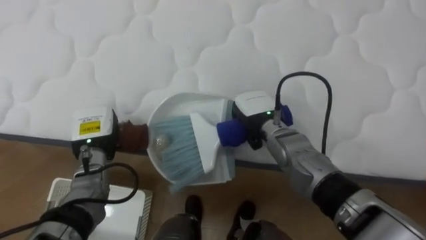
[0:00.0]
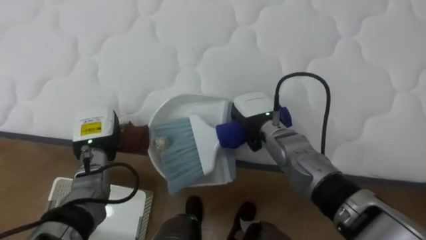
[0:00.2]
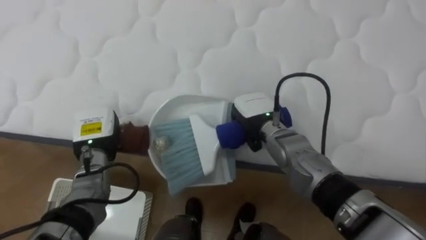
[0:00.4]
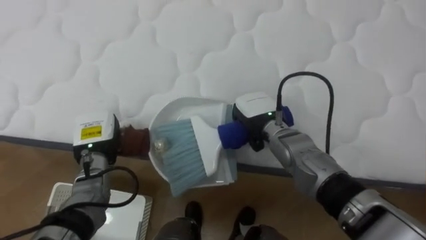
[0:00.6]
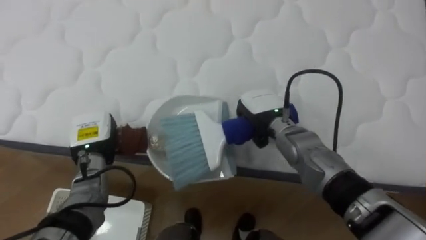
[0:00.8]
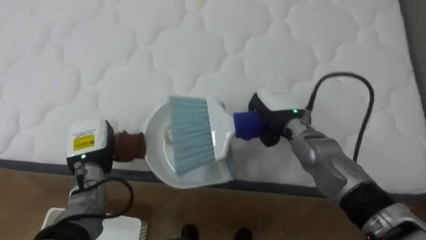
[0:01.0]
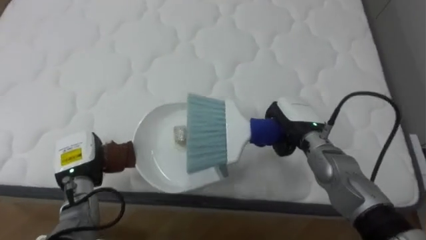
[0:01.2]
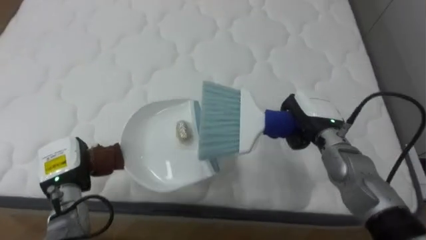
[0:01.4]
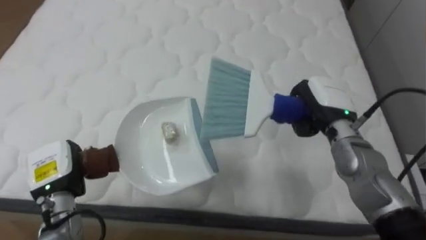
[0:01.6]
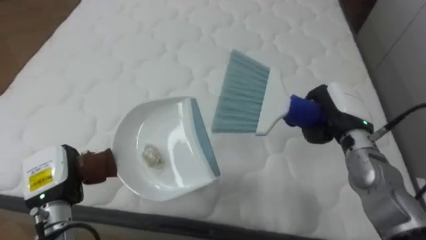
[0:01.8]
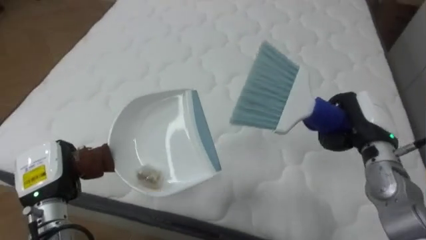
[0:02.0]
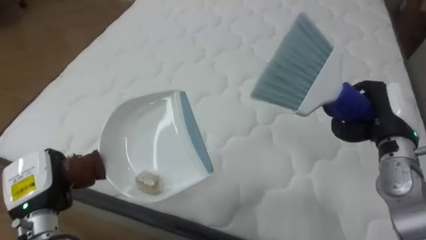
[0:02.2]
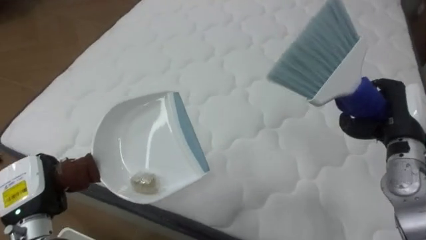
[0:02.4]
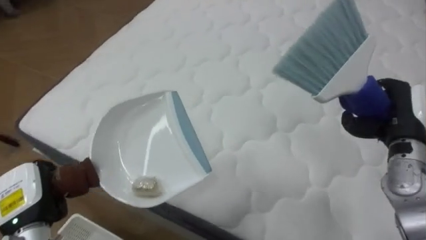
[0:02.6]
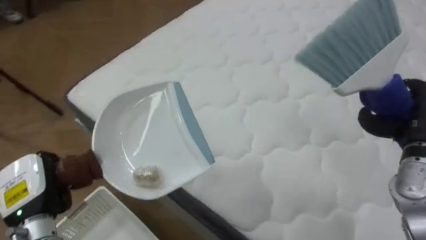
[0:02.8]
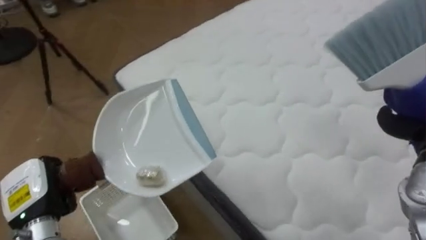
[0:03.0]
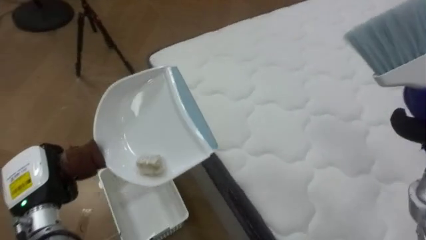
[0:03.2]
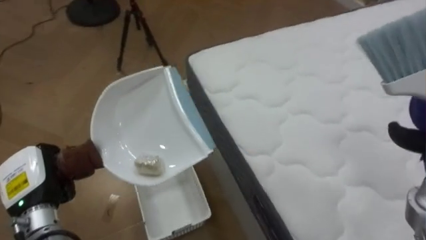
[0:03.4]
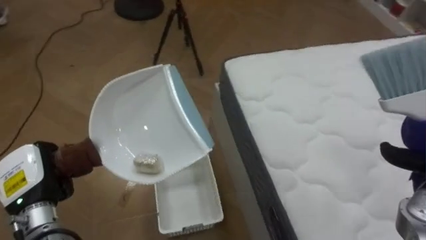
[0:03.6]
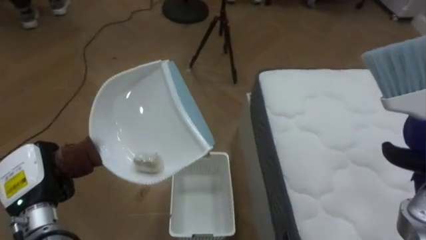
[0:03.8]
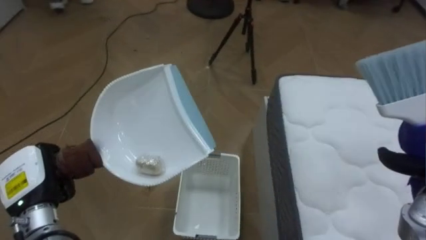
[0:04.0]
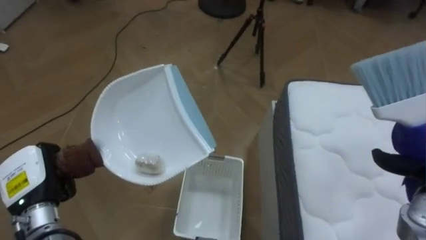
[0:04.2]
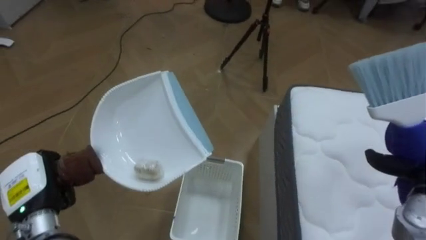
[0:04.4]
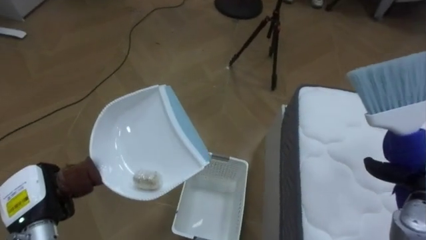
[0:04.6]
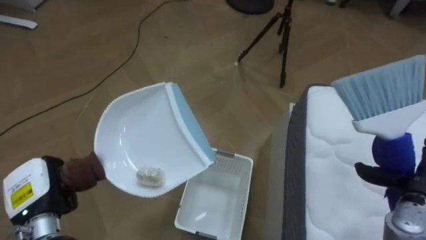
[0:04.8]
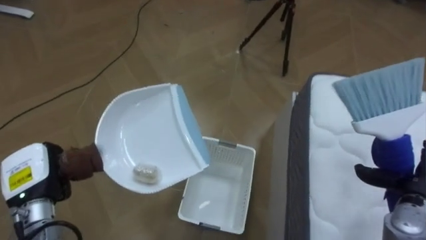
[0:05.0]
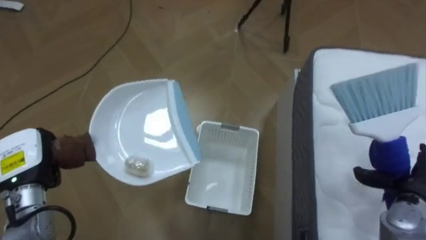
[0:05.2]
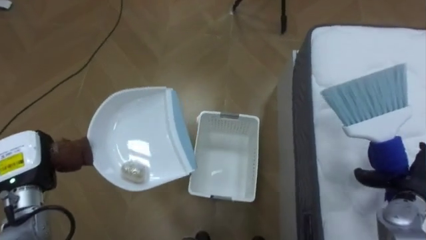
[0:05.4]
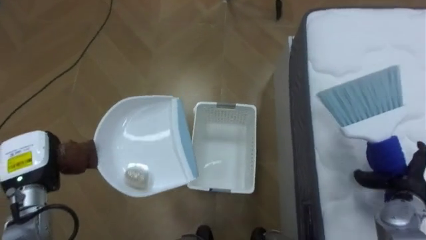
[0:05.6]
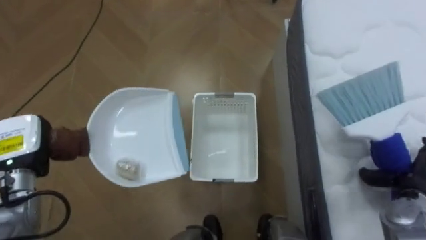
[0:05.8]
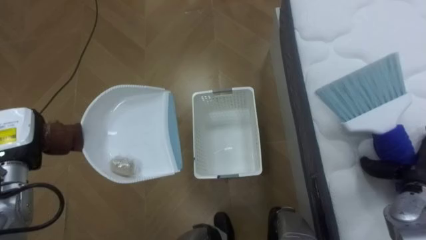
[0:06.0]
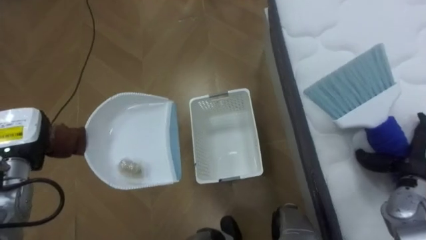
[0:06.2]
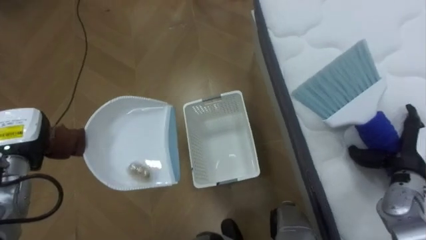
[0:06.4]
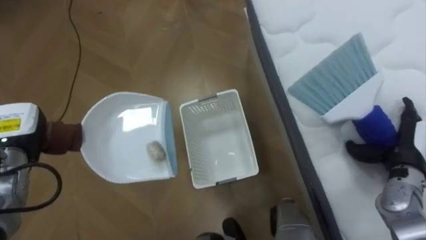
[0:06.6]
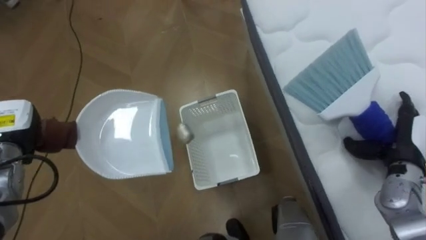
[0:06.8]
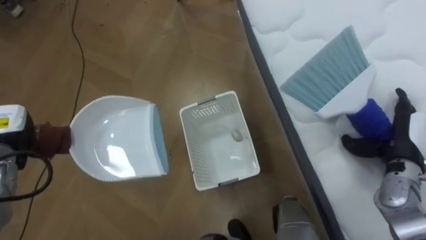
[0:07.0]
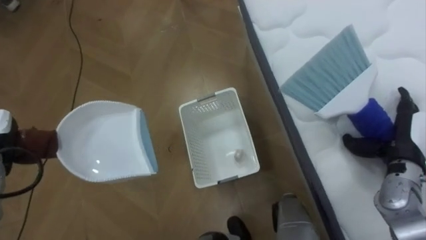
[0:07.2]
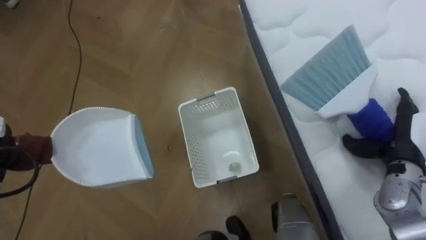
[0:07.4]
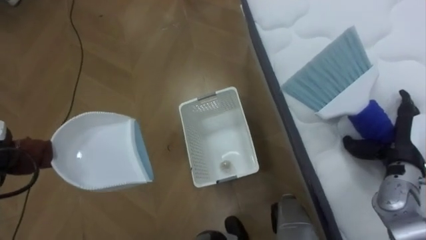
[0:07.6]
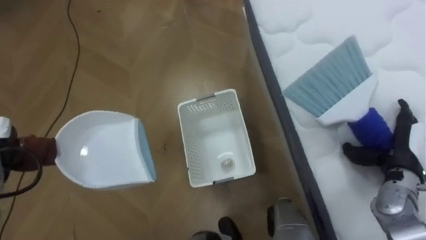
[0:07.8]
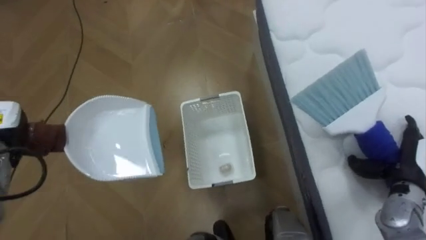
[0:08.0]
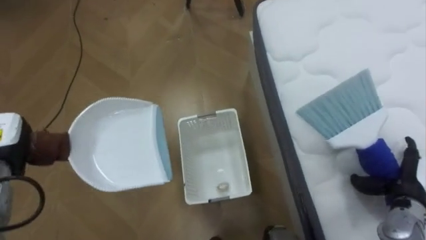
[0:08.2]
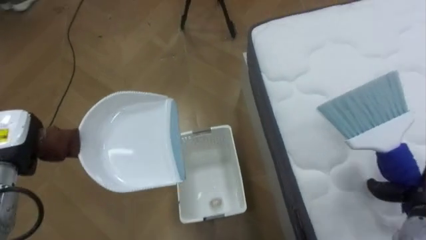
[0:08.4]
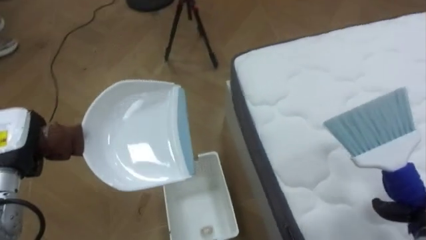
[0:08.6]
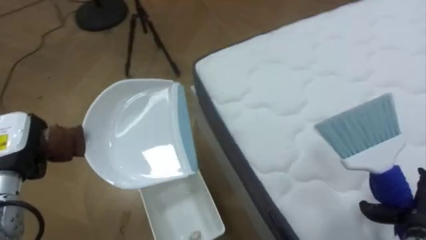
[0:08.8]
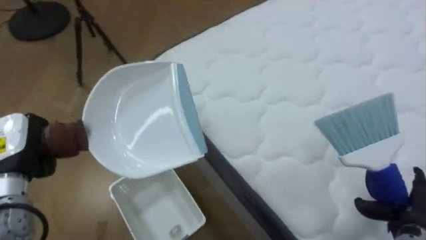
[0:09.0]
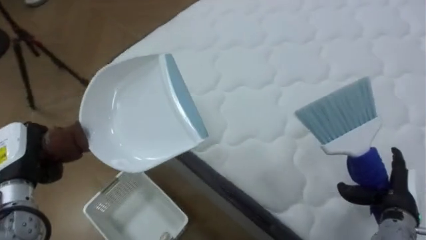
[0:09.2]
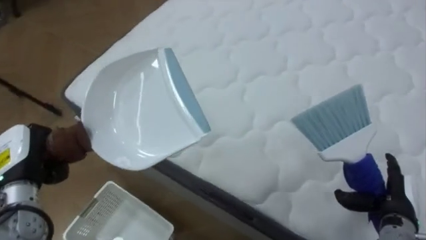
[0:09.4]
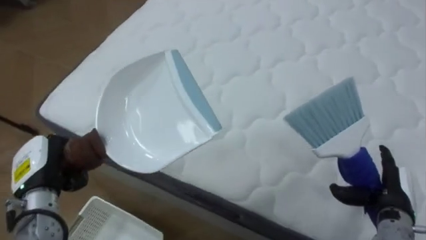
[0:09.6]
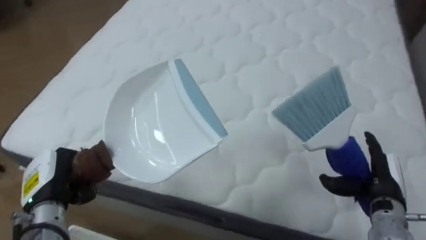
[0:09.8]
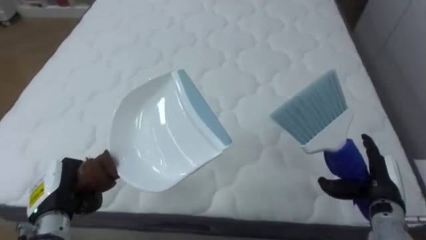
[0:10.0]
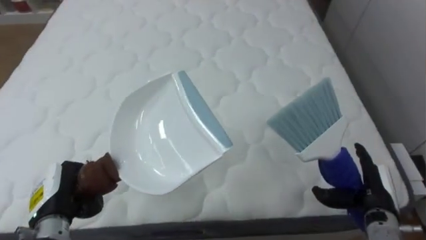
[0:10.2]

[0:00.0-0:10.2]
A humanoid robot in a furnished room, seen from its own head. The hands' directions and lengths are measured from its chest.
Task of the whole recording: Pick up the brush on your right and the dustpan on your left. Use the brush to sweep the crumpled paper on the bed into the dustpan, then turn left and empty it into the basket.
0:00.0 to 0:01.4: The right hand goes some 10 cm to the right; the left hand is displaced backward and to the left by approximately 10 cm.
0:01.4 to 0:03.0: The robot's body swings about 50 degrees to its left. The left hand shifts about 5 cm backward.
0:03.0 to 0:04.4: The robot's body swings some 45 degrees to its left.
0:04.4 to 0:05.8: The left hand moves forward, approximately 5 cm.
0:05.8 to 0:07.2: The right hand moves upward, some 5 cm.
0:08.8 to 0:10.2: The robot turns to its right by roughly 70 degrees. The right hand travels to the left by some 10 cm. Meanwhile the left hand shifts roughly 10 cm downward, backward and to the right.

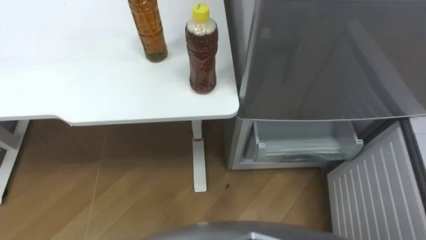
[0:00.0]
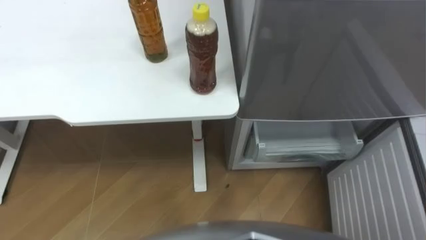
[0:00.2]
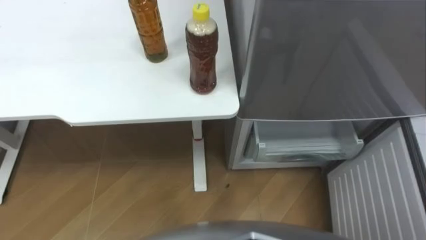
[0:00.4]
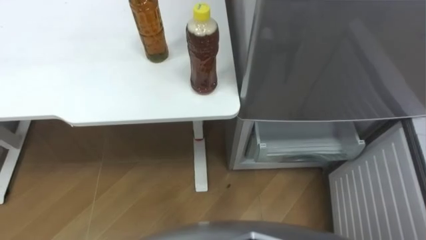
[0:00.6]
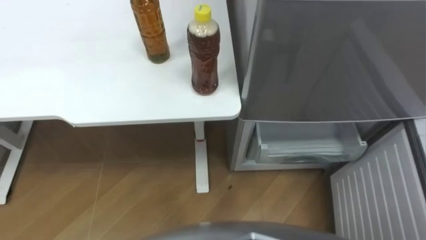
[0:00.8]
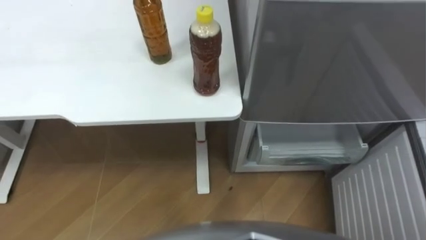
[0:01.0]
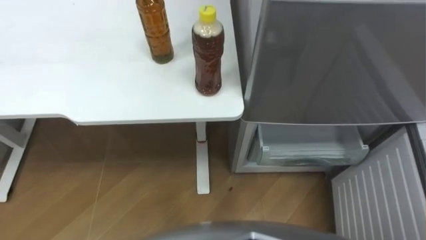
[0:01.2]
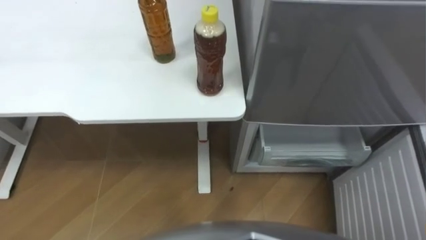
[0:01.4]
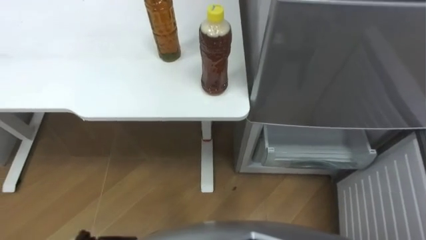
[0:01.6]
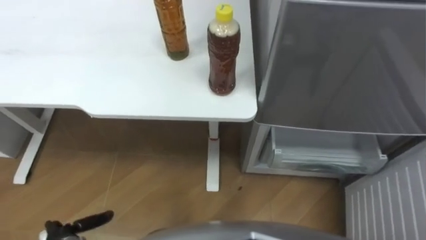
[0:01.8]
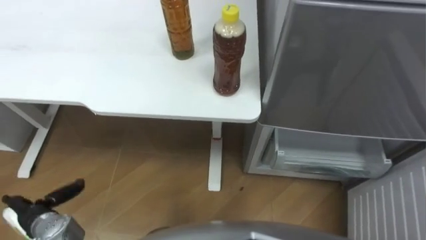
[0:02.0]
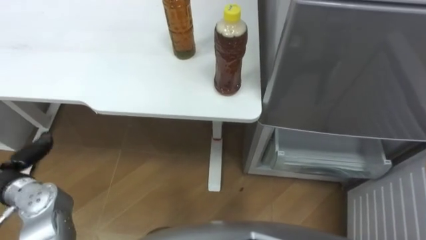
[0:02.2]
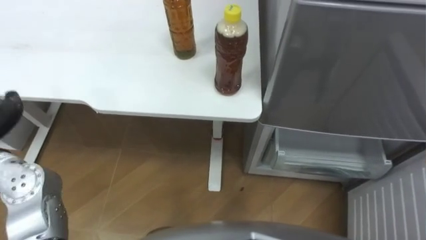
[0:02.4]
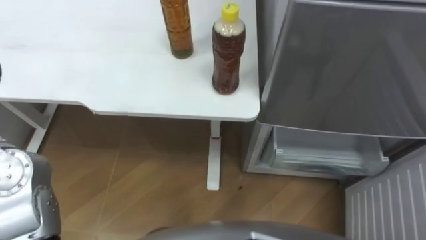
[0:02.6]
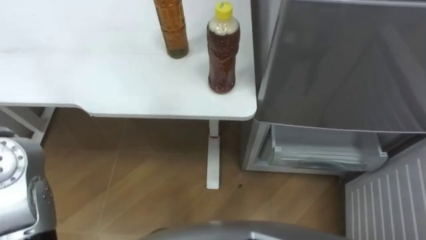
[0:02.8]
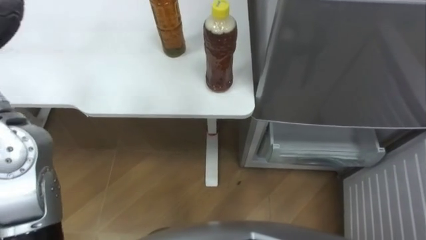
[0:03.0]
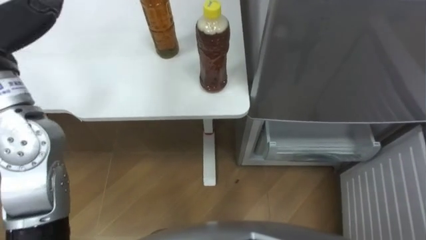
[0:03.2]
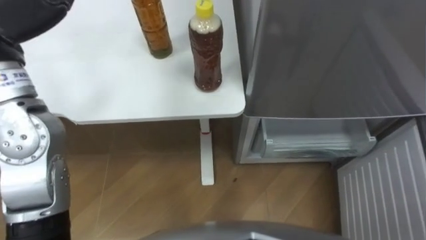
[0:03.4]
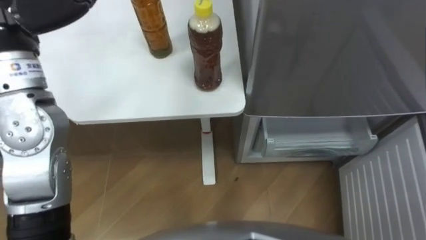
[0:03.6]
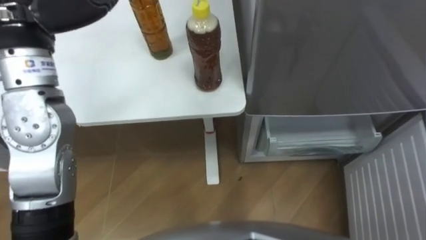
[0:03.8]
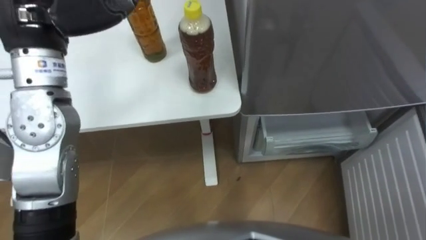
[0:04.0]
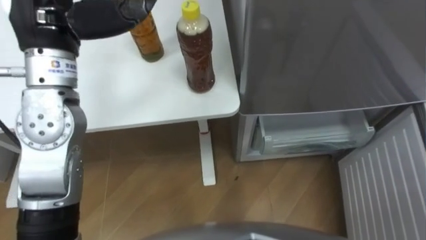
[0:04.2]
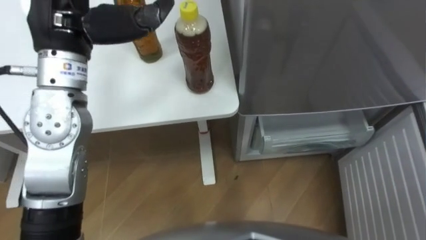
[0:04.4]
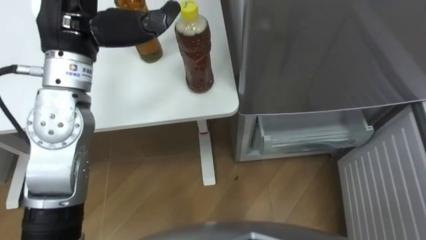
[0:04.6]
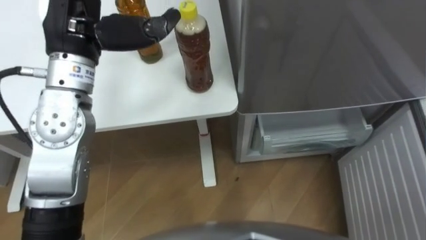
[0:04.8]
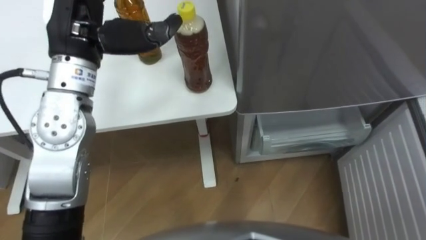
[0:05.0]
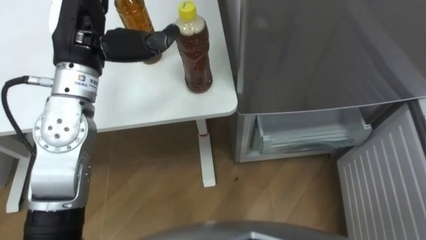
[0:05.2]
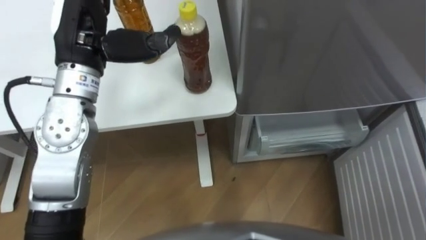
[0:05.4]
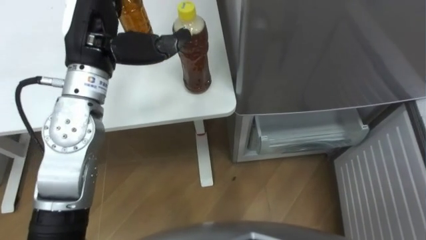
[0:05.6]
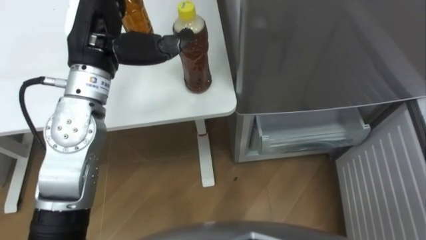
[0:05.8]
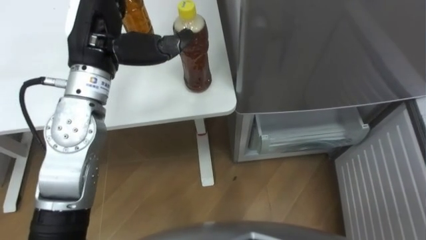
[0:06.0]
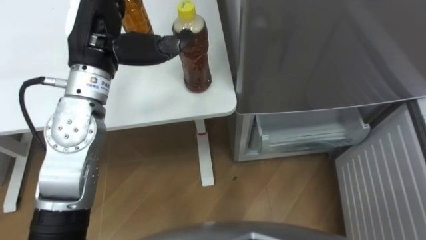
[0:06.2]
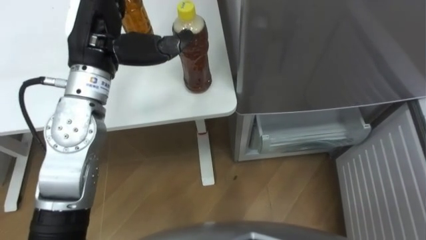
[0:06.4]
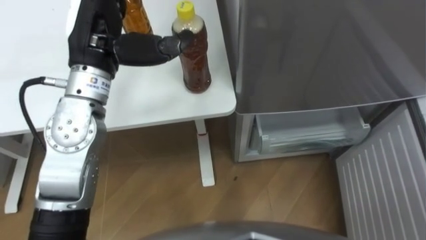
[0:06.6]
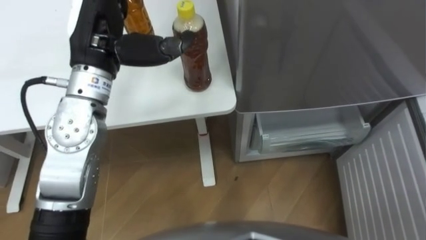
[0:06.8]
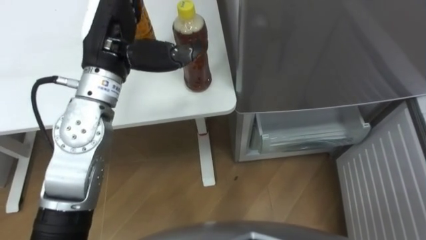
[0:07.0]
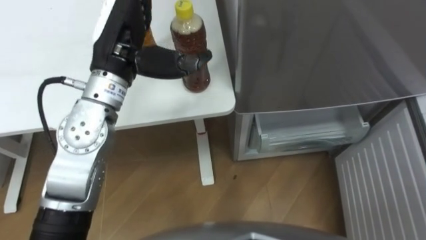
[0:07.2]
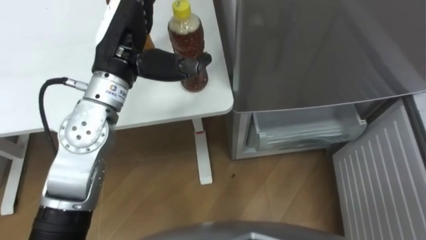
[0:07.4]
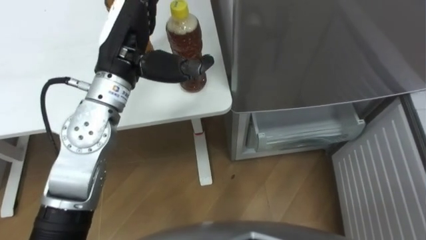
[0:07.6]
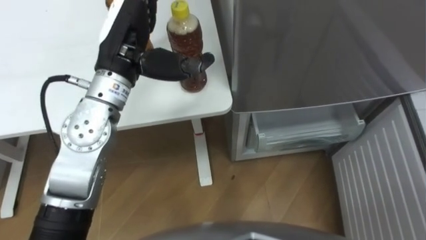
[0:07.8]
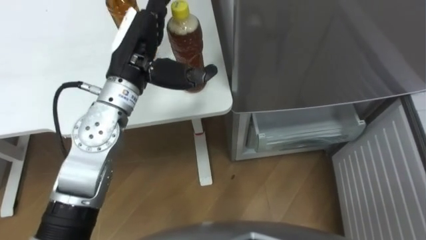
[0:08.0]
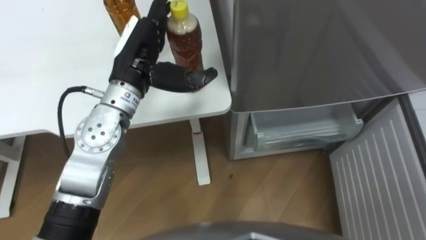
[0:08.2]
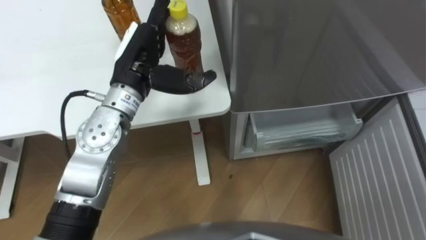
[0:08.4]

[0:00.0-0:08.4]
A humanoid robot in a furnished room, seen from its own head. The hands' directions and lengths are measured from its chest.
Task of the whole recording: Place the drink on the table on the bottom shelf of the refrigerator, then close the drawer and the refrigerator door.
0:04.2 to 0:05.6: The left hand ends up approximately 5 cm from where it was.
0:07.0 to 0:08.4: The left hand moves downward, roughly 5 cm.
